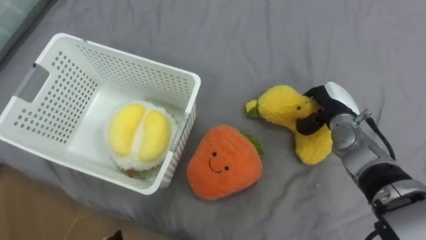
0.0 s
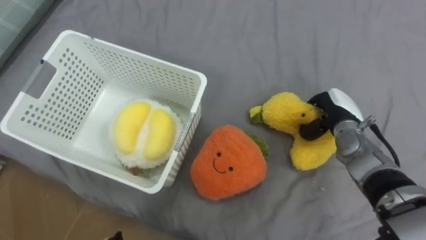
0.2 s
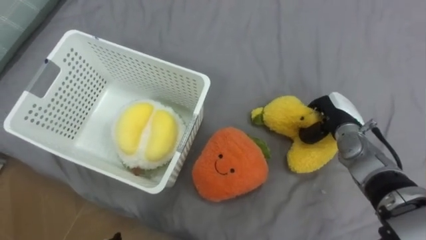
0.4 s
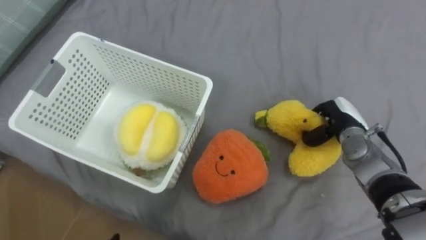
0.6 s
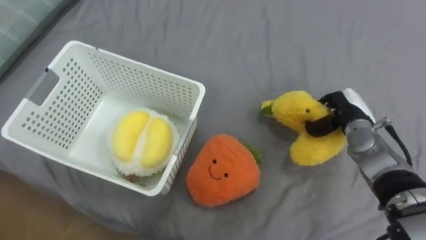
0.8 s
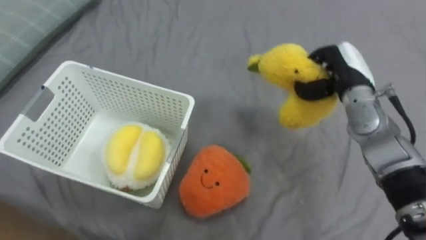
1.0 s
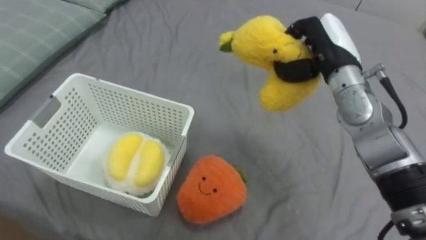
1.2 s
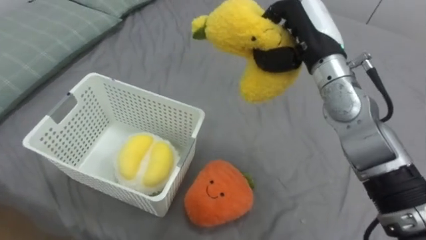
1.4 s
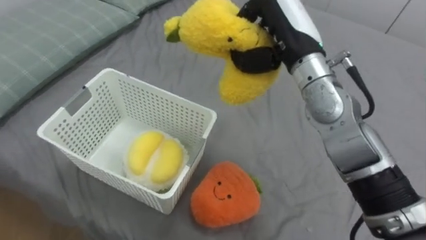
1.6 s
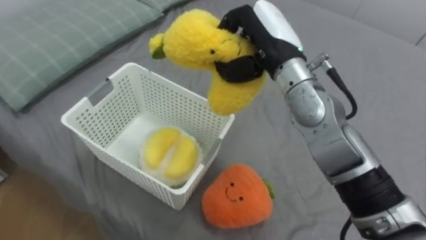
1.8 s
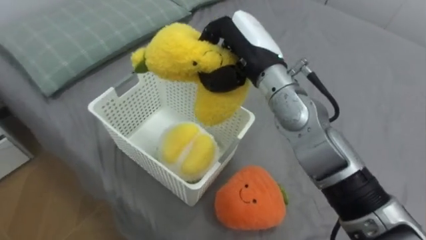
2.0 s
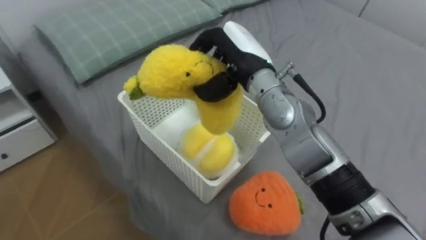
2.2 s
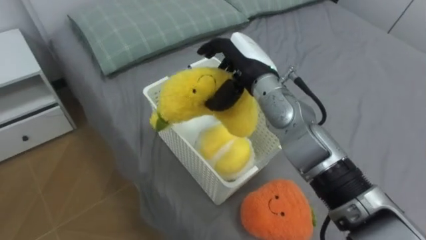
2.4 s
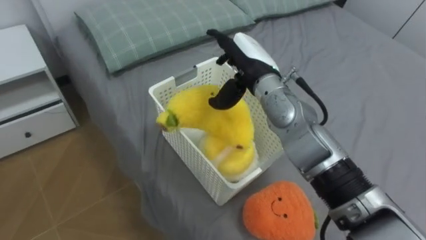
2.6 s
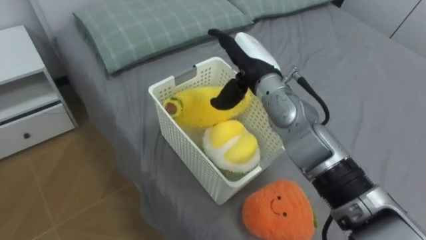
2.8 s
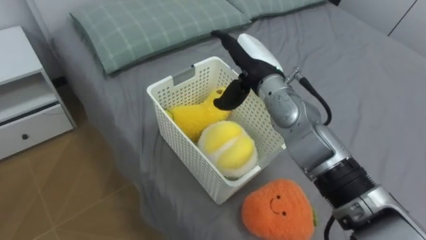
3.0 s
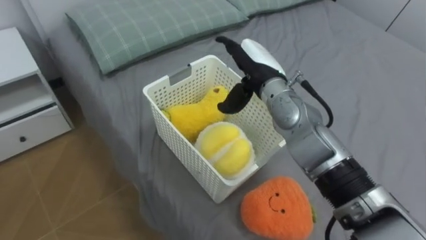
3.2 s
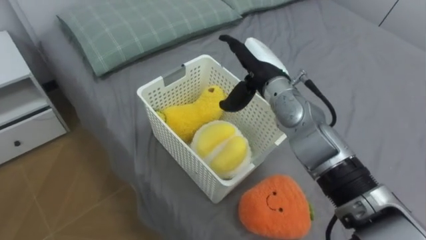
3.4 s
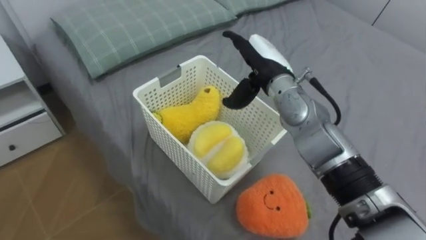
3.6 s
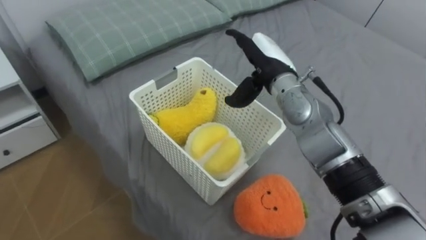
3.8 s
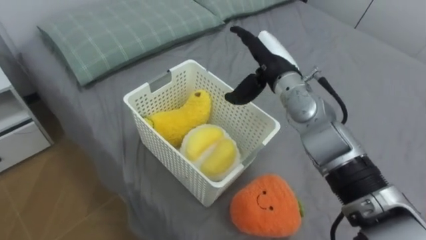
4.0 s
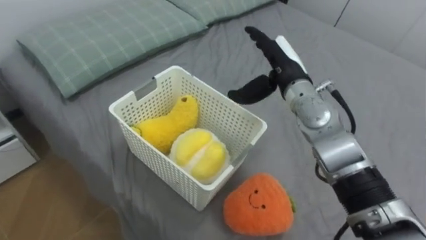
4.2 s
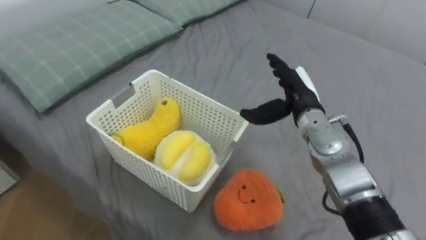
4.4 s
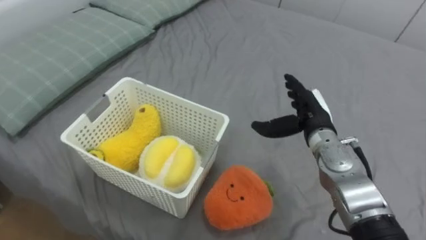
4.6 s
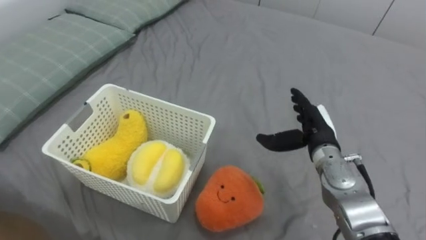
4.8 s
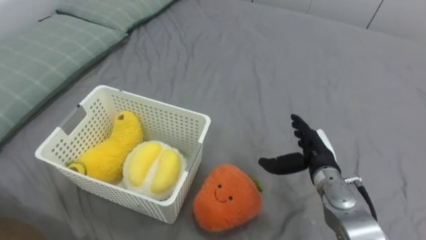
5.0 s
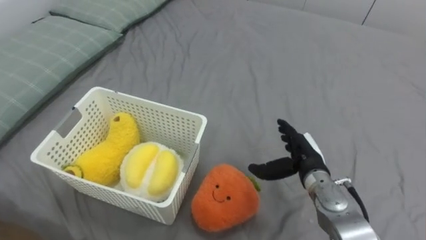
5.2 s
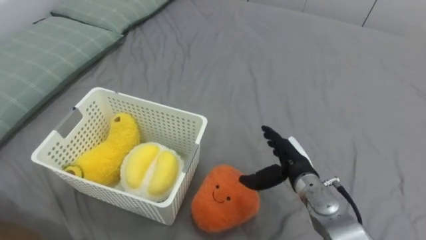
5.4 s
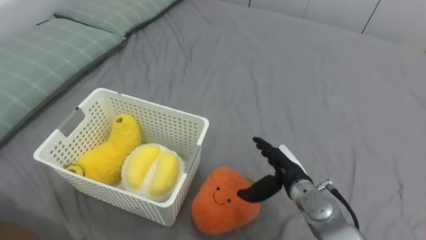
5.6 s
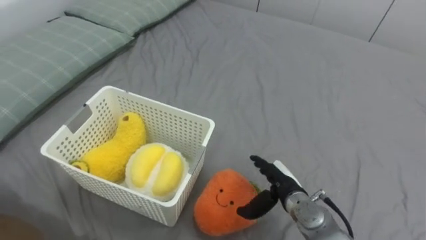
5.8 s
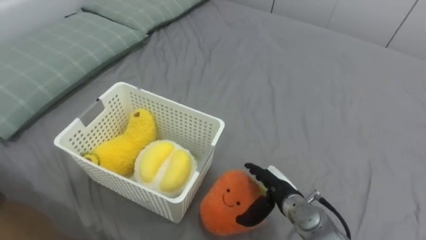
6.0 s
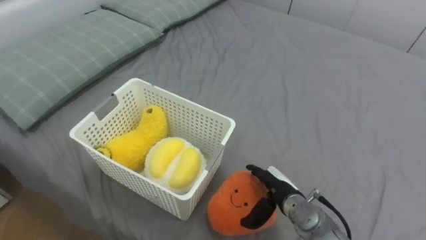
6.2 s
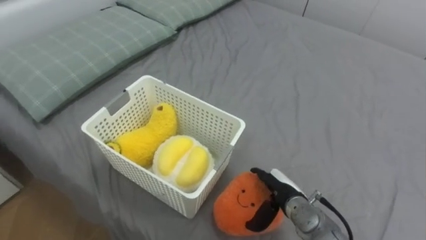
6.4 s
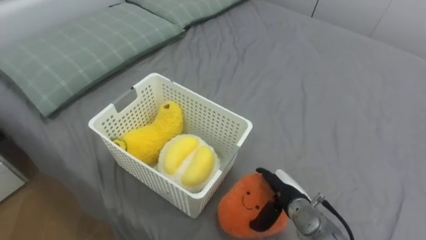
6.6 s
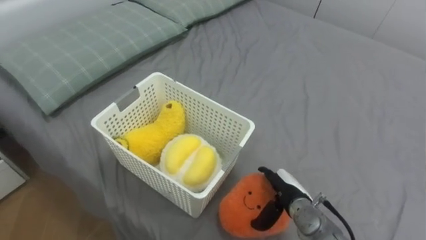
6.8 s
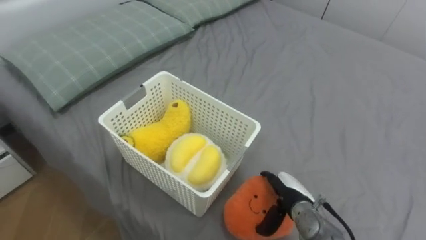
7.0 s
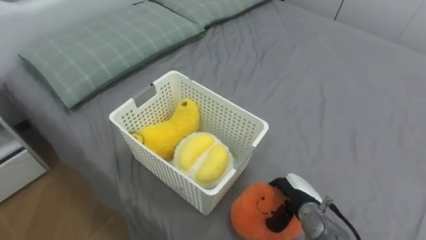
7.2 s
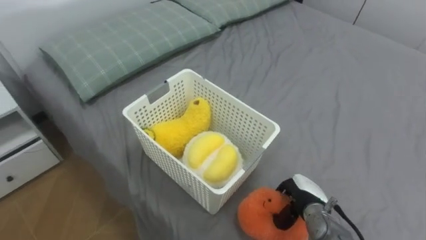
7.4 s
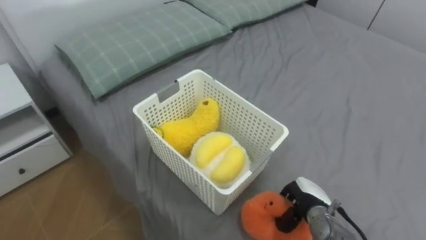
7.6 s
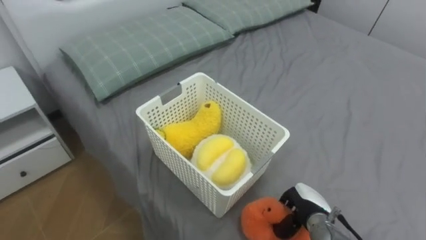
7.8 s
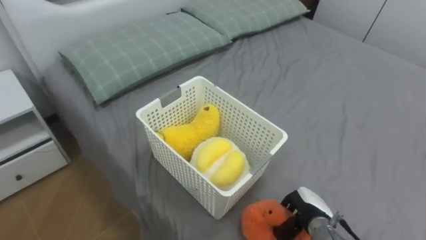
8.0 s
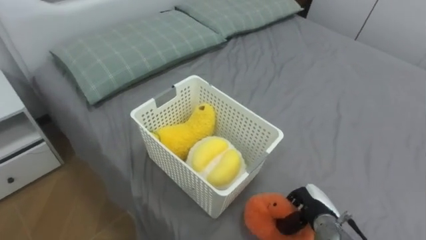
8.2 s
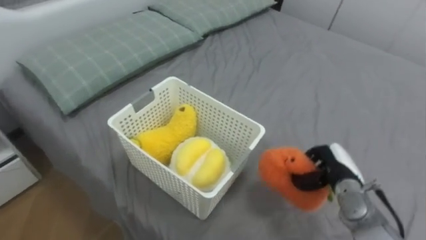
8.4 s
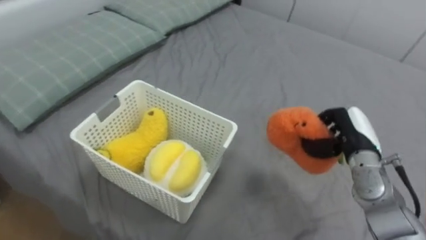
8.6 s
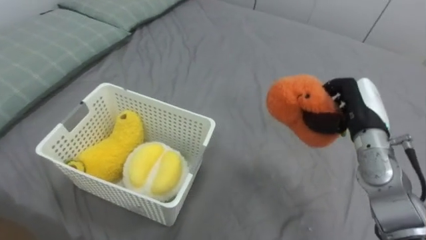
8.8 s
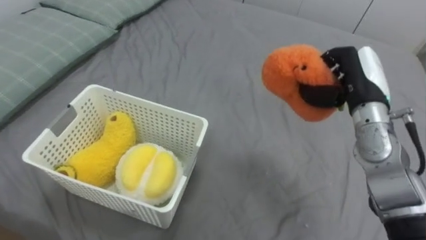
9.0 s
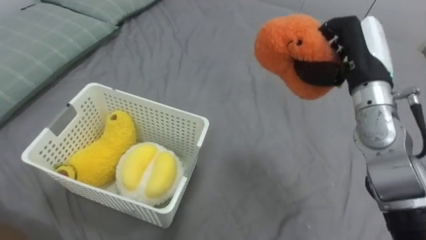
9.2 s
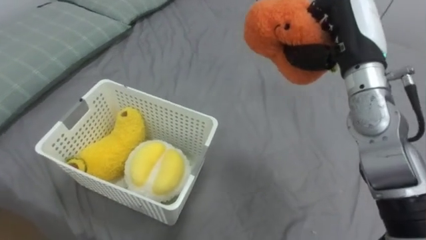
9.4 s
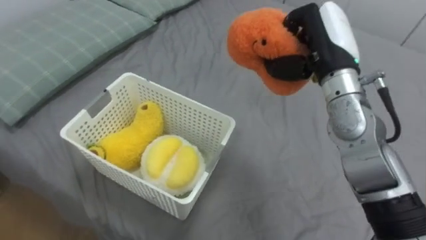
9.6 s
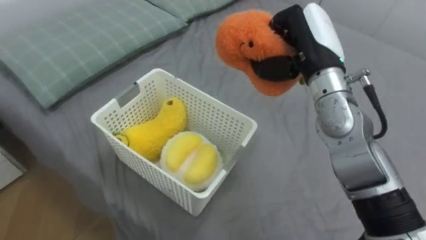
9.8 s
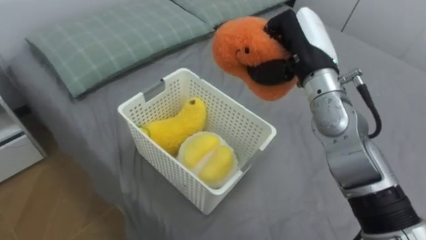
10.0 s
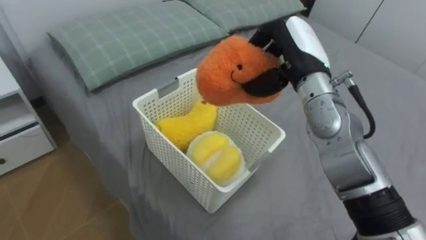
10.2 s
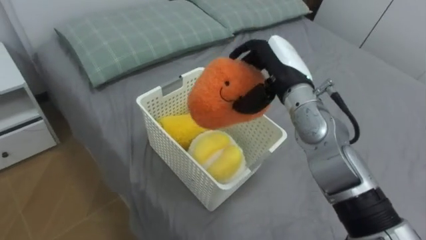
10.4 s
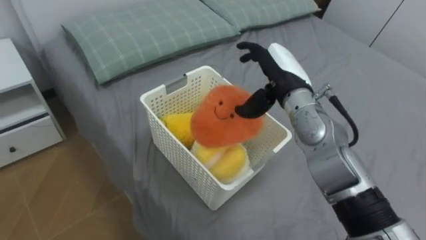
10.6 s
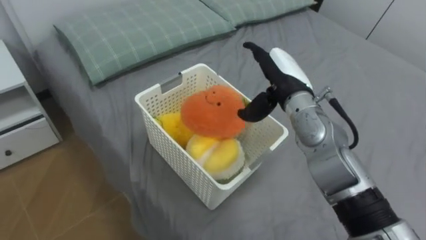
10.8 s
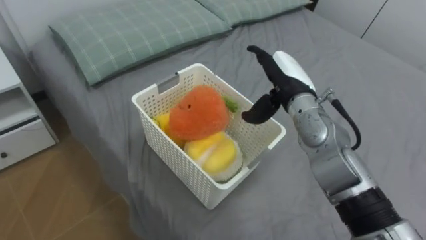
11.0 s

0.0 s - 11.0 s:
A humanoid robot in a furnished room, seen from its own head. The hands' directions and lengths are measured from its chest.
Task of the whole recording: Put the toys on the bed into the basket on the left.
0.0 s - 1.6 s: The right hand heads upward and to the left, covering some 25 cm.
1.6 s - 3.2 s: The right hand moves downward, roughly 10 cm, and opens.
3.2 s - 4.8 s: The right hand goes some 20 cm to the right, downward and backward.
4.8 s - 6.2 s: The right hand travels downward, backward and to the left by roughly 15 cm.
6.2 s - 7.8 s: The right hand travels to the right by roughly 5 cm, and closes.
7.8 s - 9.4 s: The right hand goes about 35 cm upward.
9.4 s - 11.0 s: The right hand moves downward and to the left, about 10 cm, and opens its fingers.

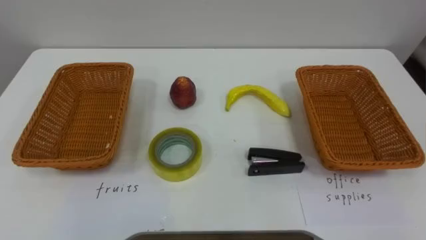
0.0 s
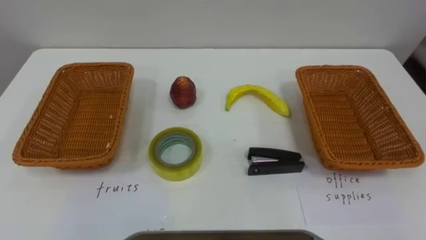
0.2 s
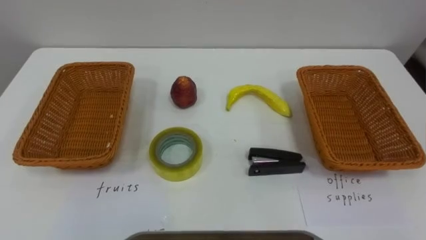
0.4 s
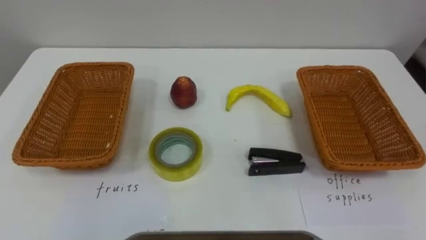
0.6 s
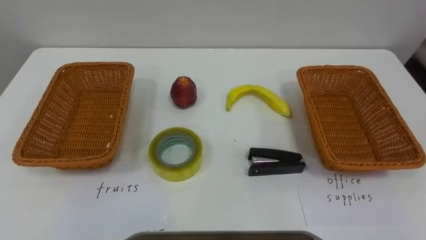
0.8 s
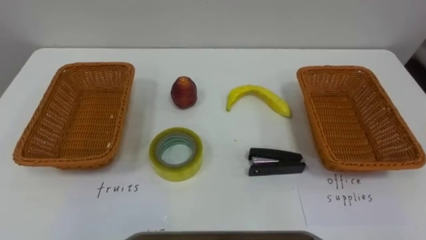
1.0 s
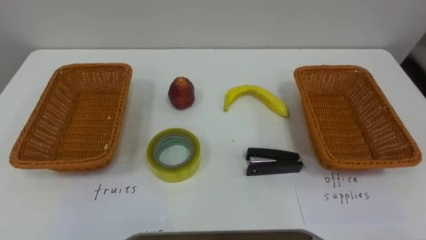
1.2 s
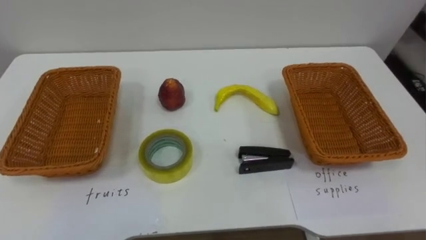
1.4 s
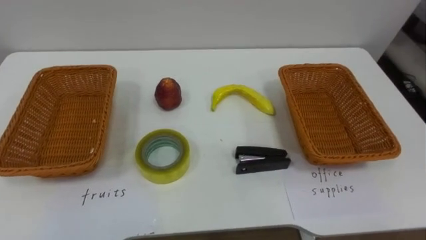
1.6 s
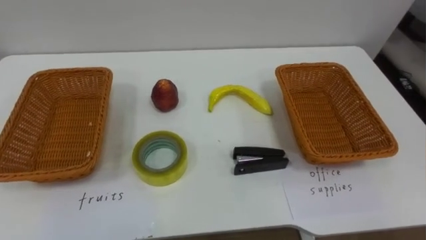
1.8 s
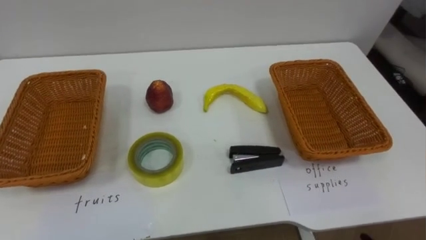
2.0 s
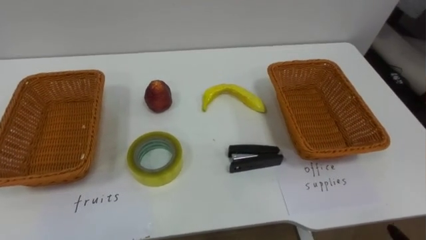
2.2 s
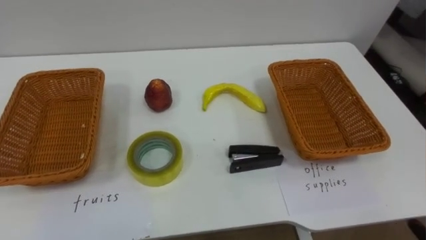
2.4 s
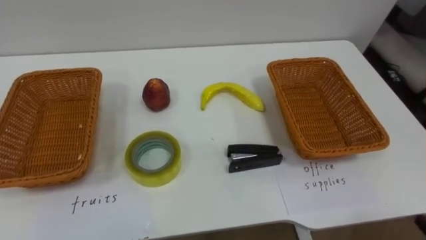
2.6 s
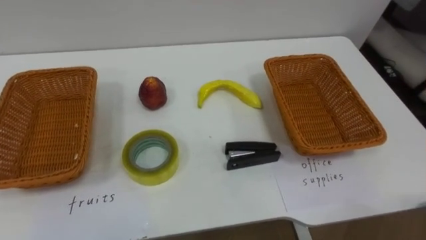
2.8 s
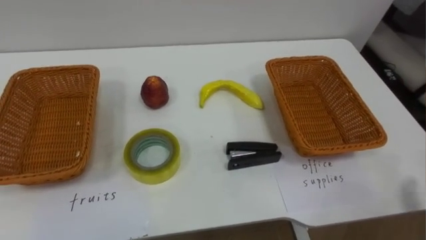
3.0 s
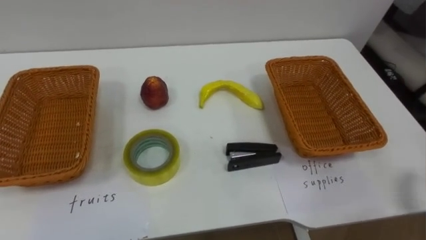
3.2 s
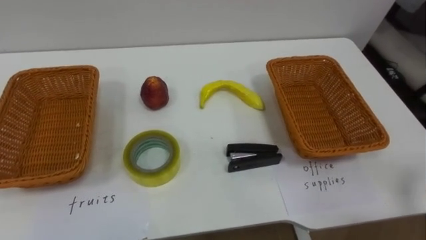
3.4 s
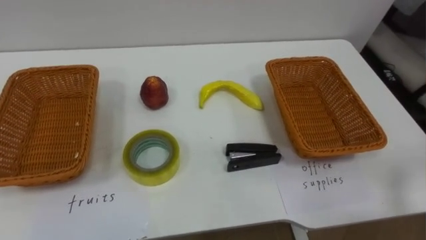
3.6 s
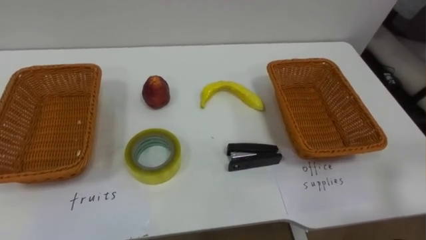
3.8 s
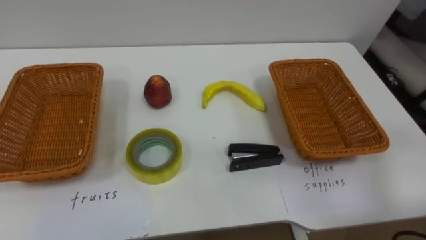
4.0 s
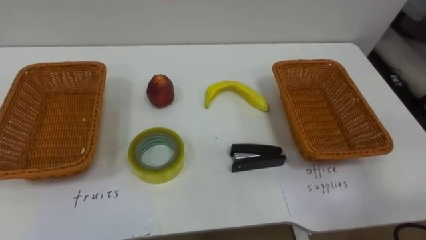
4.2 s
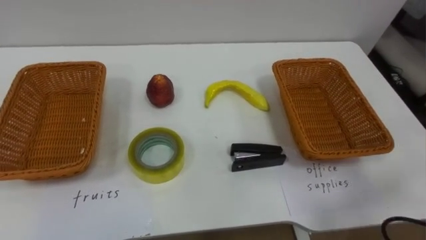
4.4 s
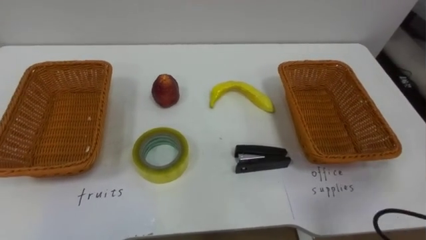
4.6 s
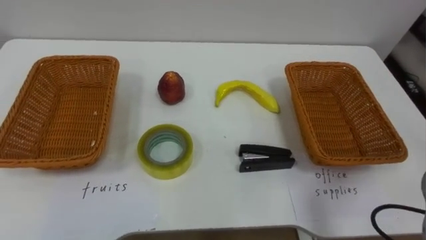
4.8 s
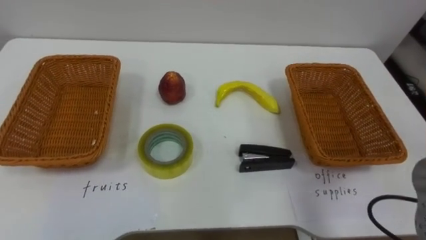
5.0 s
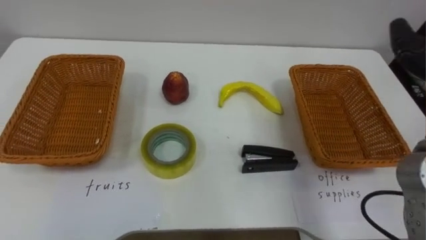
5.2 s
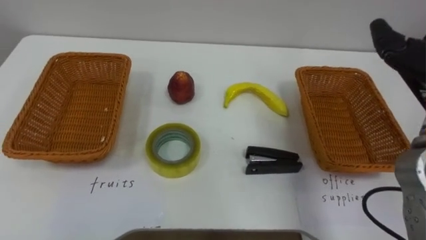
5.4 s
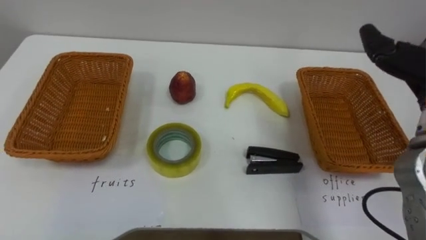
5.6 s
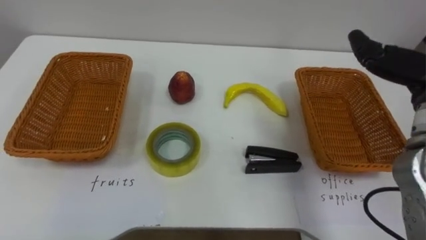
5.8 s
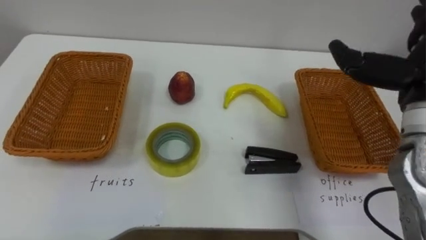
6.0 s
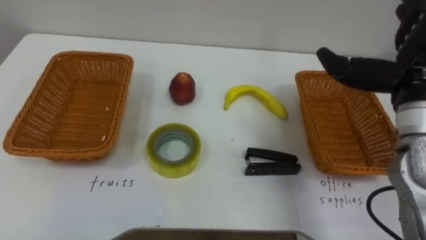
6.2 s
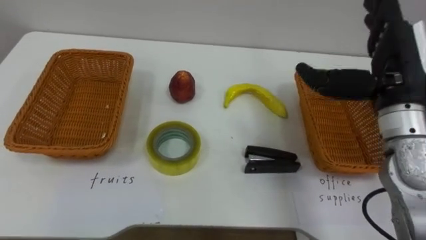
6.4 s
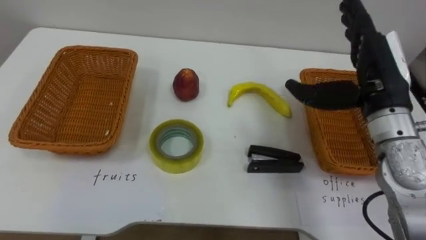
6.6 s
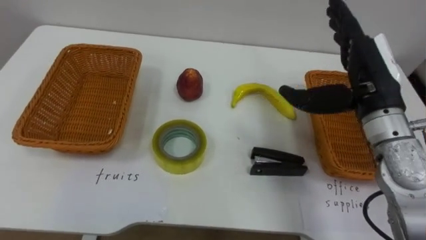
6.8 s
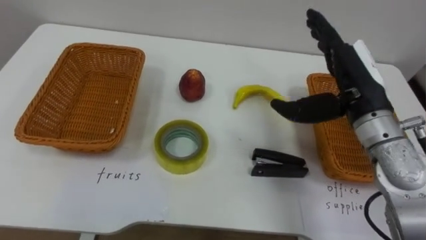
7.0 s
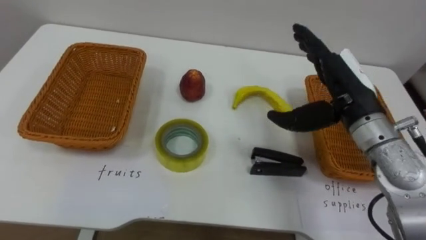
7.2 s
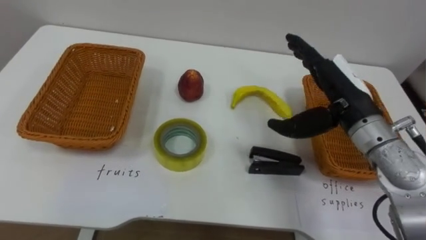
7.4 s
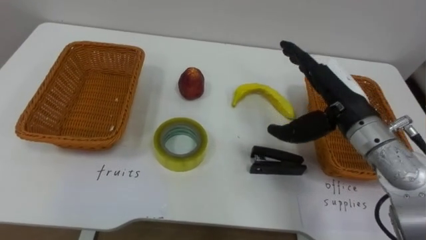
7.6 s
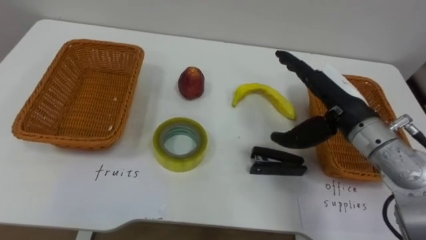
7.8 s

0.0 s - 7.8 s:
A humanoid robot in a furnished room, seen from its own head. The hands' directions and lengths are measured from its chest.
Task of the whole recording: Separate the items on the table and place them into the two baskets.
6.2 s - 7.8 s: The right hand moves downward and to the left, approximately 10 cm.
